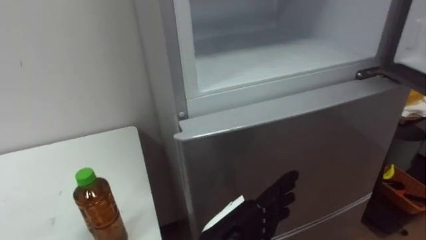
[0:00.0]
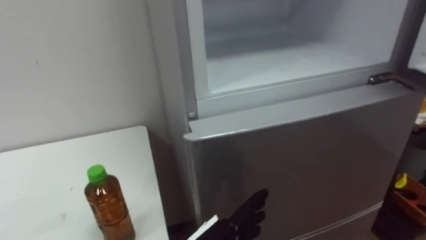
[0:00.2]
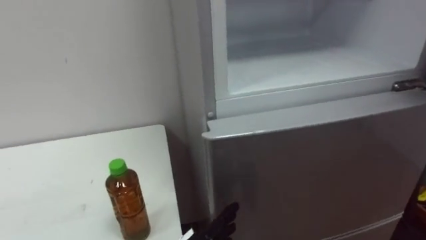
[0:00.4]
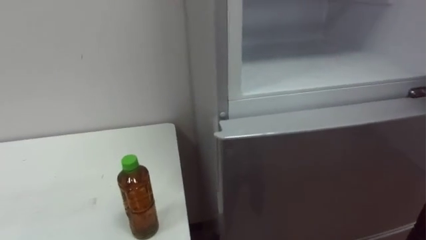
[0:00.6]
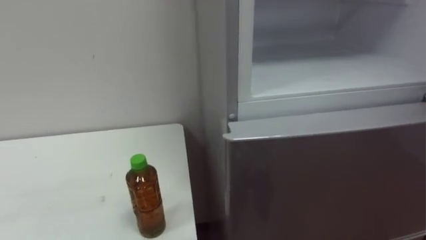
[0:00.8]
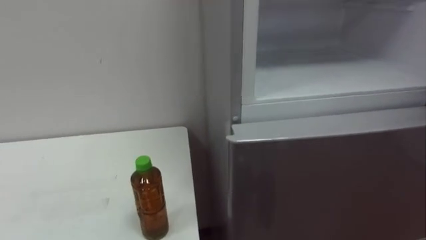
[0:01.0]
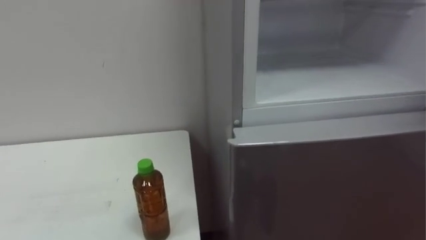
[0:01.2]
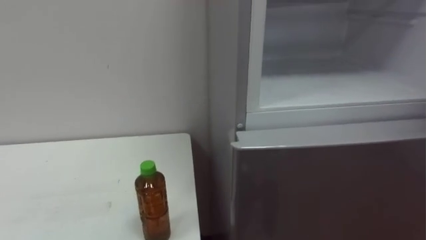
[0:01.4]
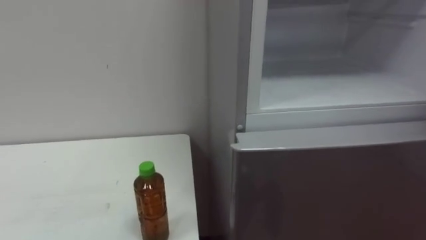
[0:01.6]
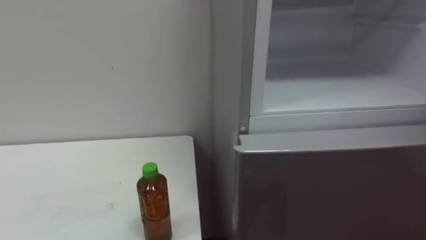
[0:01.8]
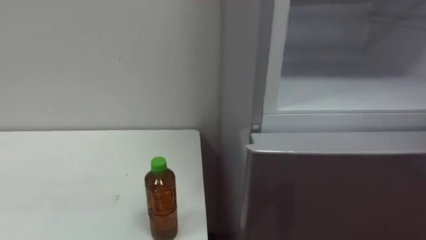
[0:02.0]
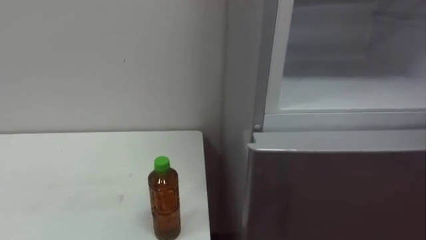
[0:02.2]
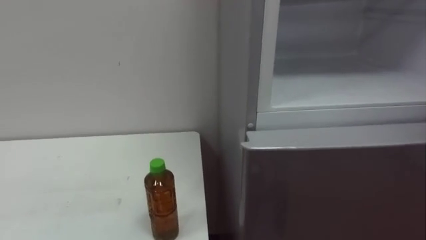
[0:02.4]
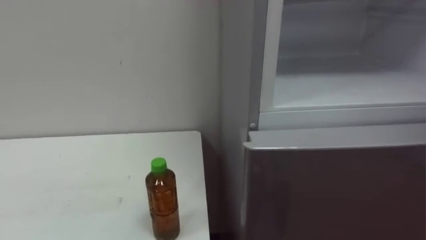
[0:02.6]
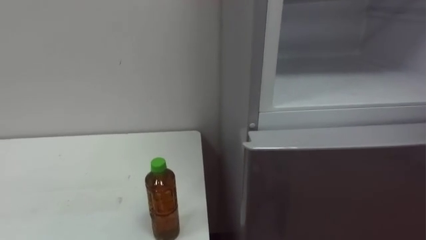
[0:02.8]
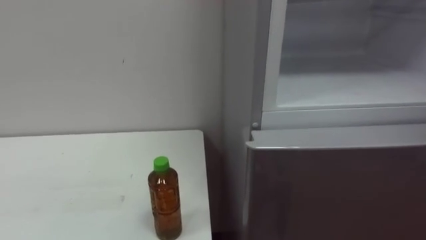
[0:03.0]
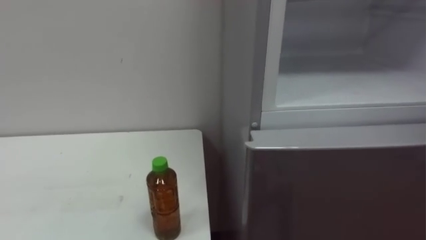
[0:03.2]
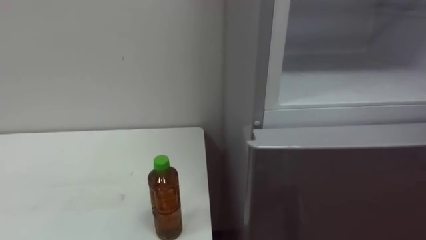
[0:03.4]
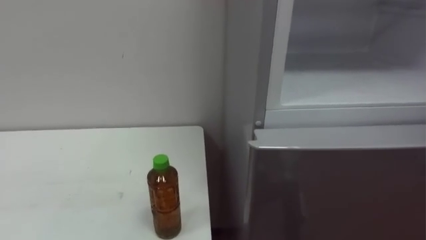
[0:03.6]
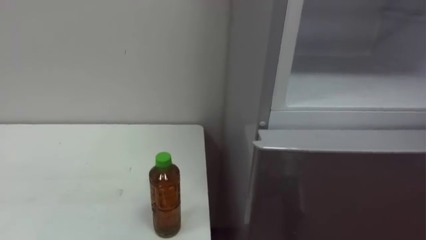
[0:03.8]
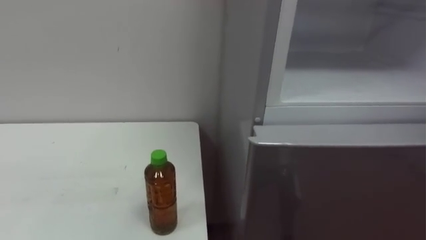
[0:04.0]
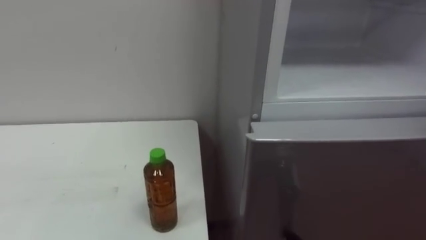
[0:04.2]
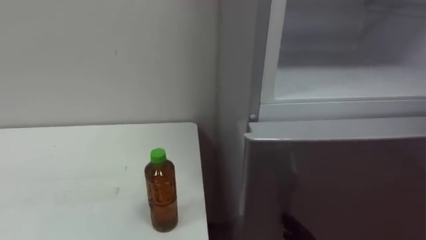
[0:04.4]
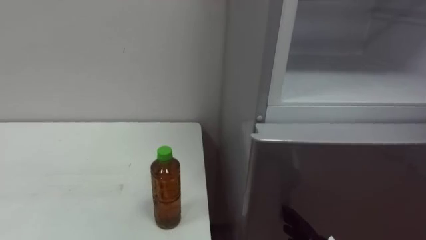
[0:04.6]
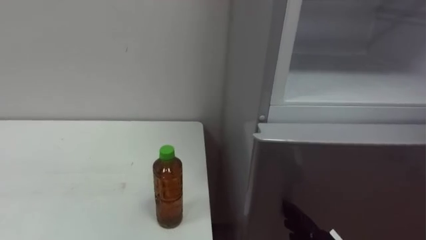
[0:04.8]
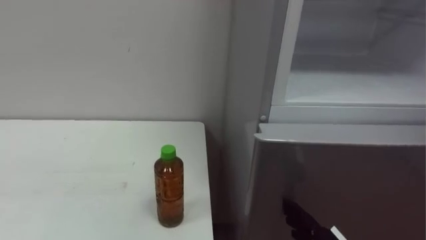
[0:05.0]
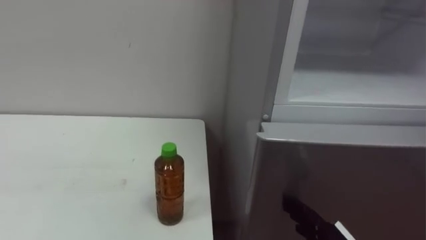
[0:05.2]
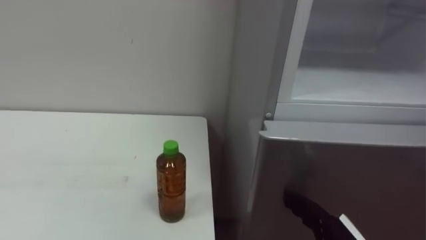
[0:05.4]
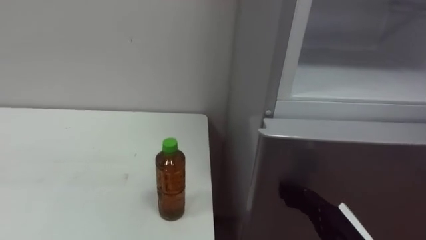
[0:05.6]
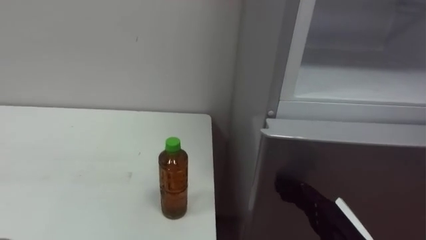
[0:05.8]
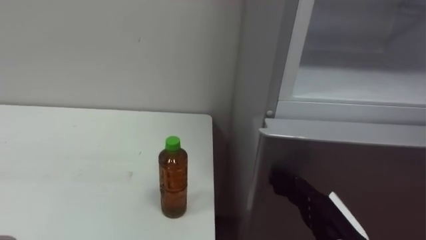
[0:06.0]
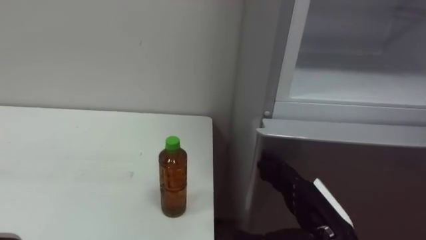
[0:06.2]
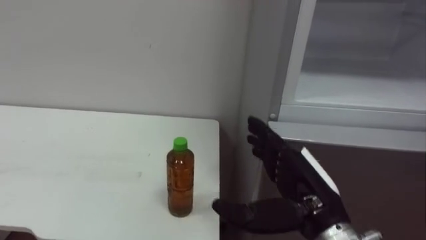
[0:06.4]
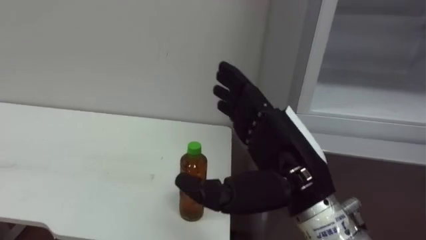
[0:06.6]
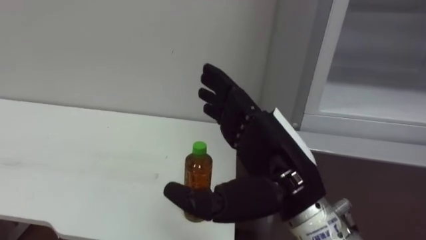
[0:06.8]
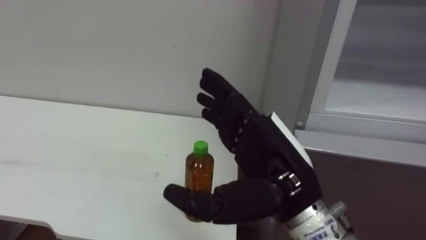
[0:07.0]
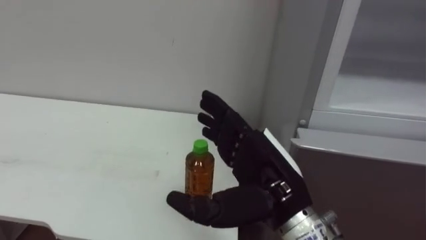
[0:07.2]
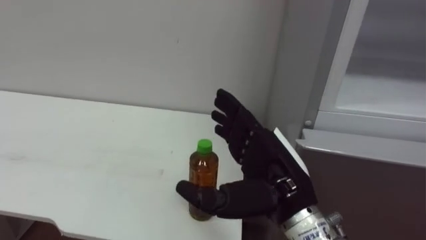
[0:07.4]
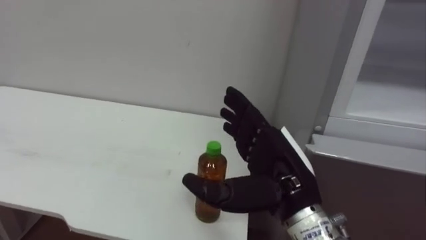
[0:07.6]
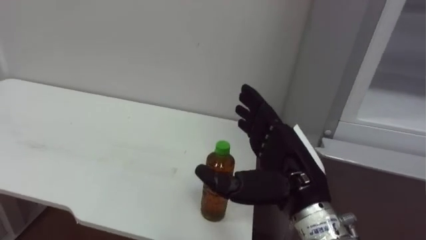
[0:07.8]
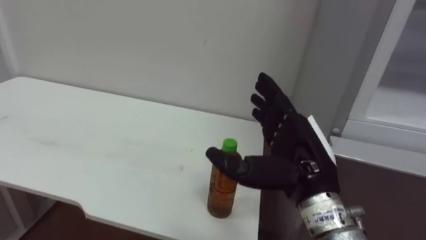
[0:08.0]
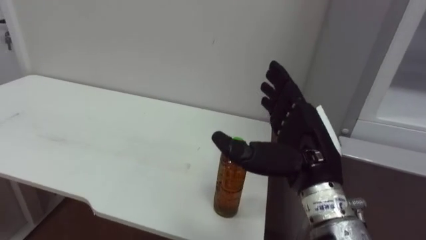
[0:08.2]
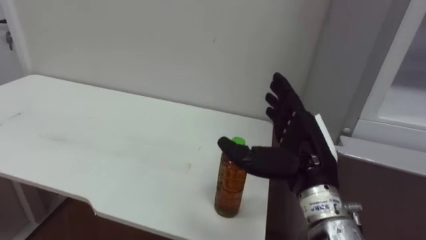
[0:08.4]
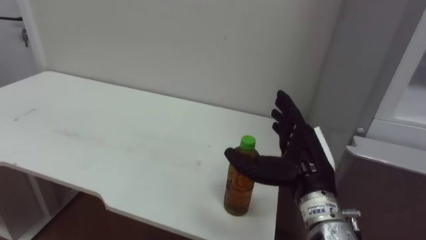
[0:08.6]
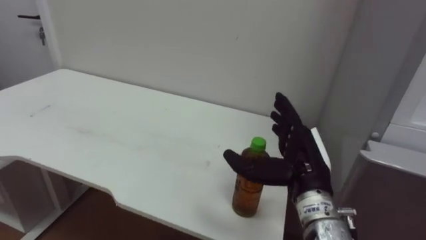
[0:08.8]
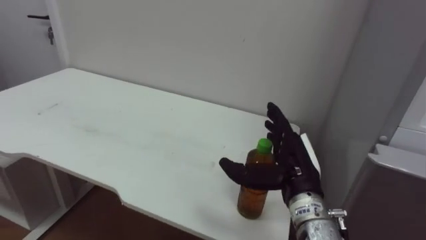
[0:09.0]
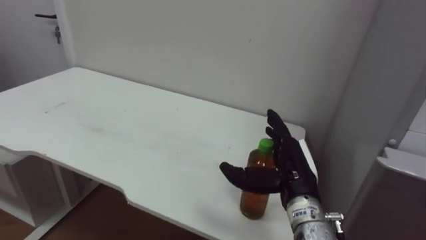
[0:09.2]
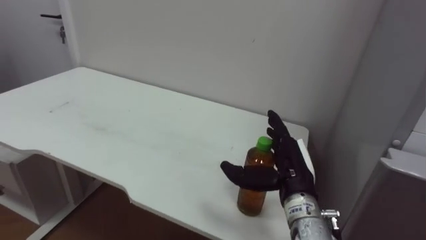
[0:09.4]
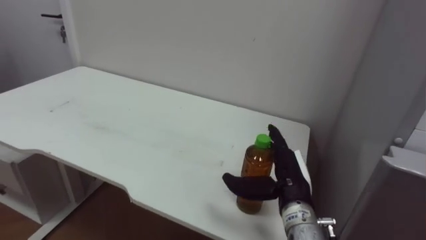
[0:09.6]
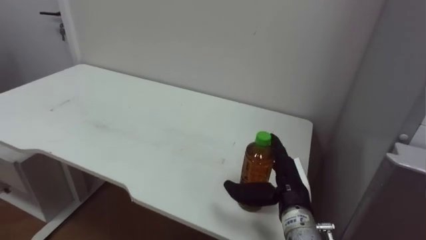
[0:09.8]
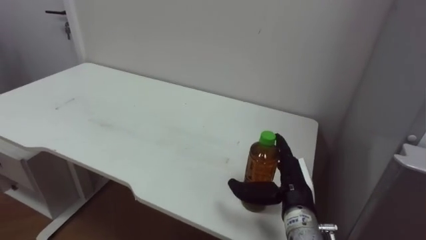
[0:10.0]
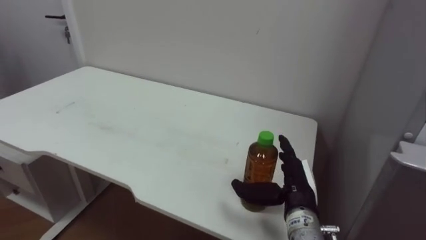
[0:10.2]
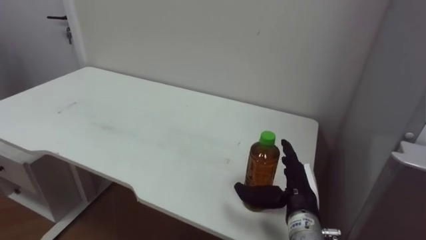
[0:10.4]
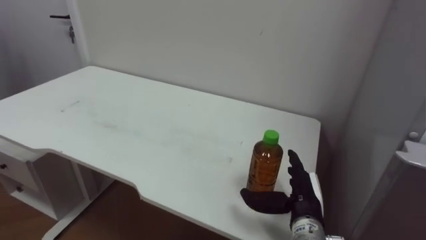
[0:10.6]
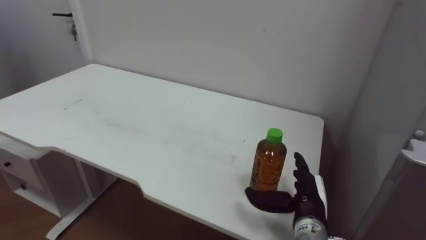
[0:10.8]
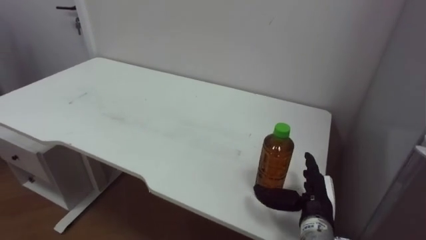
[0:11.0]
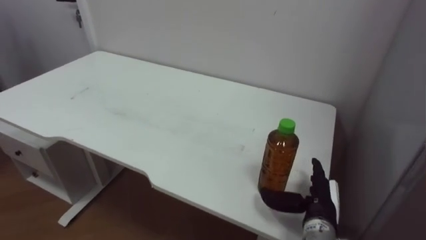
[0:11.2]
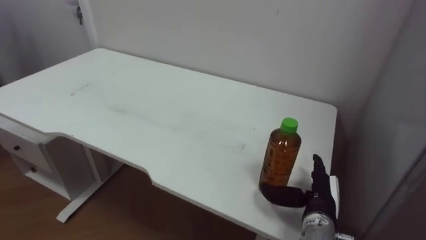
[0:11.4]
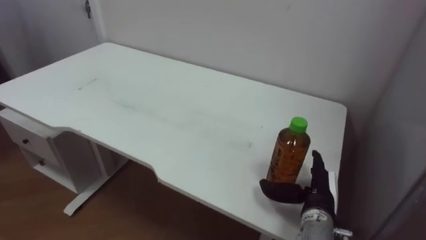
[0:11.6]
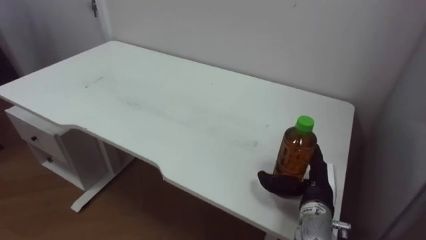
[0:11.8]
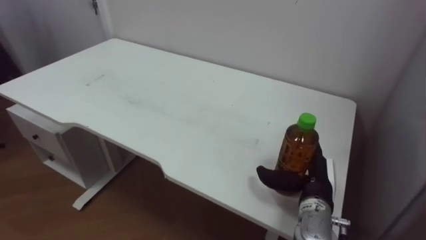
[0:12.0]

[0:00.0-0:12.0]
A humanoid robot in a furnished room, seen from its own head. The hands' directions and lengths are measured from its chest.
Task of the whole recording: Open the upper refrigerator door, put the drink from the table into the refrigerator, and then close the refrigerator door.
0:06.0 to 0:07.6: The right hand heads upward and to the left, covering approximately 15 cm.
0:07.6 to 0:09.0: The right hand shifts about 5 cm forward.
0:09.0 to 0:10.4: The right hand goes about 5 cm downward.

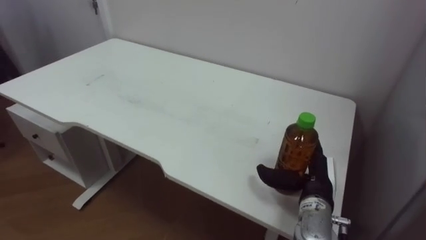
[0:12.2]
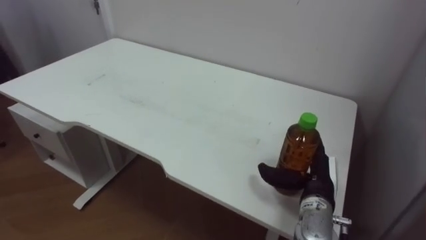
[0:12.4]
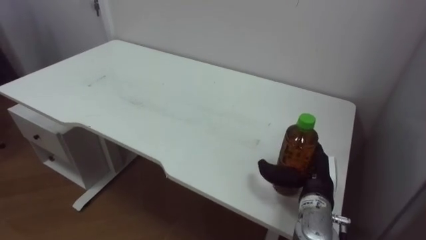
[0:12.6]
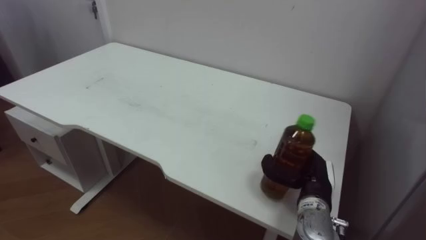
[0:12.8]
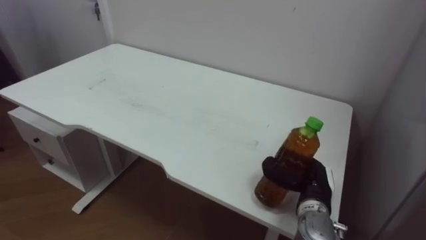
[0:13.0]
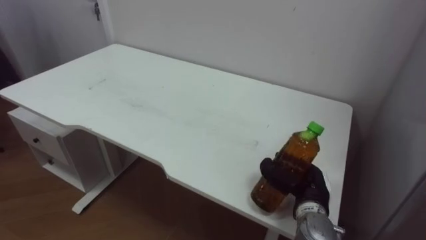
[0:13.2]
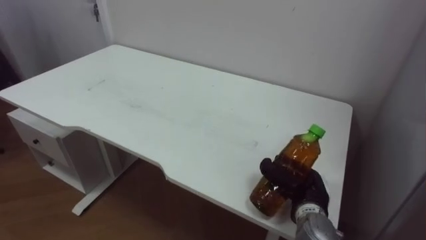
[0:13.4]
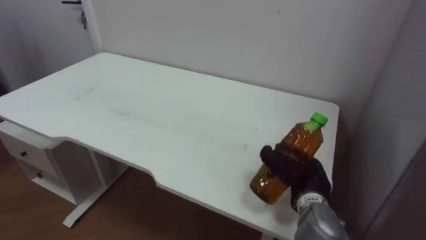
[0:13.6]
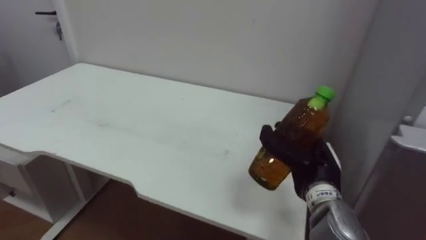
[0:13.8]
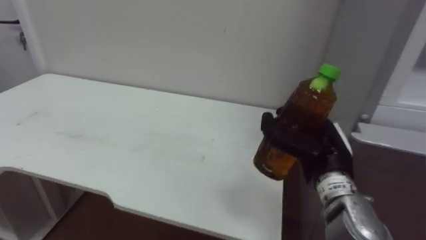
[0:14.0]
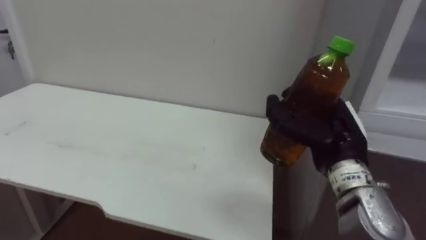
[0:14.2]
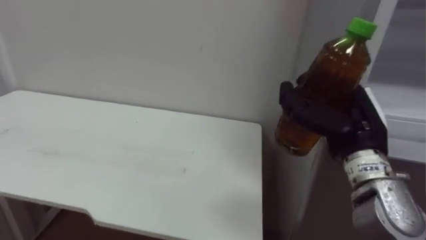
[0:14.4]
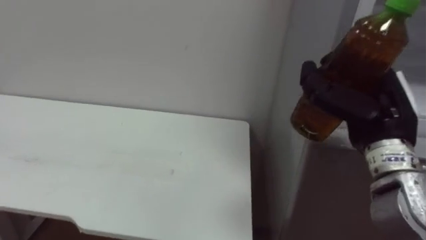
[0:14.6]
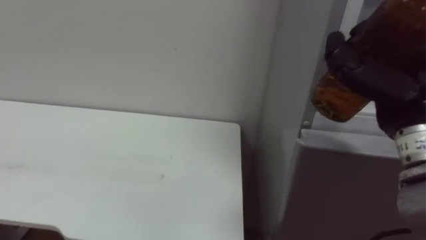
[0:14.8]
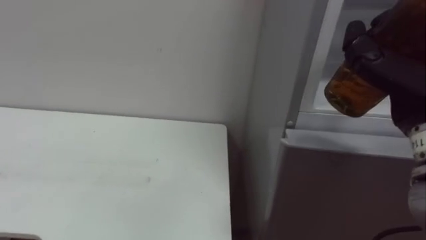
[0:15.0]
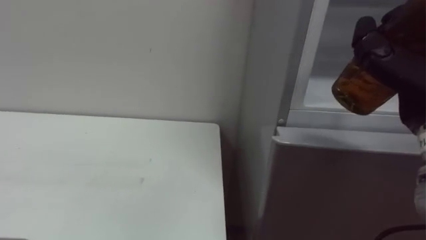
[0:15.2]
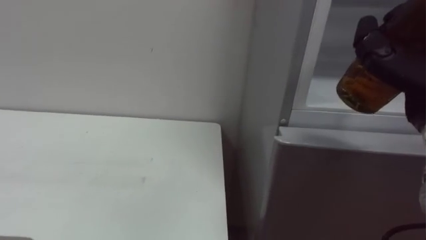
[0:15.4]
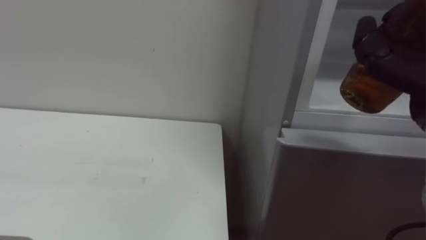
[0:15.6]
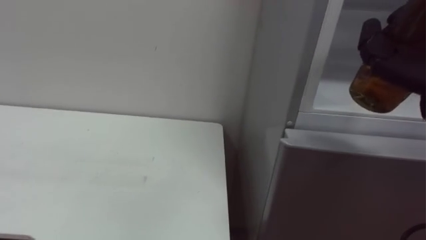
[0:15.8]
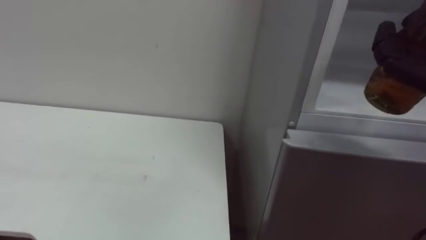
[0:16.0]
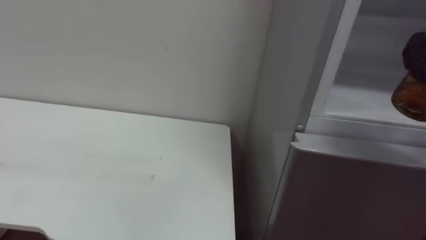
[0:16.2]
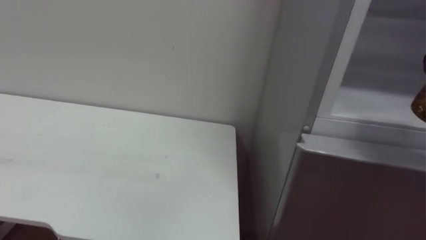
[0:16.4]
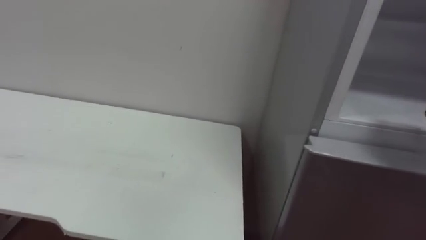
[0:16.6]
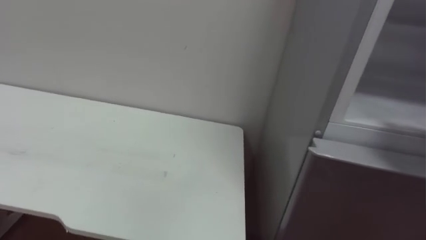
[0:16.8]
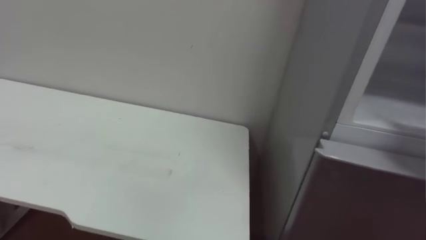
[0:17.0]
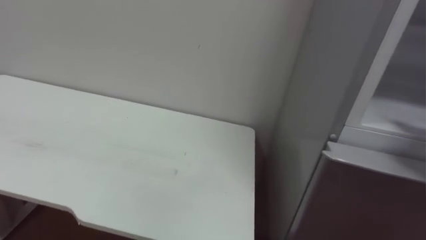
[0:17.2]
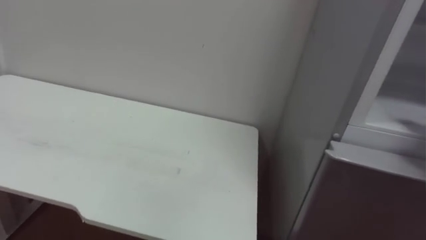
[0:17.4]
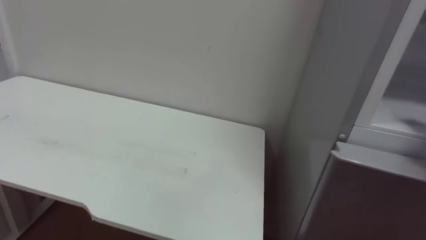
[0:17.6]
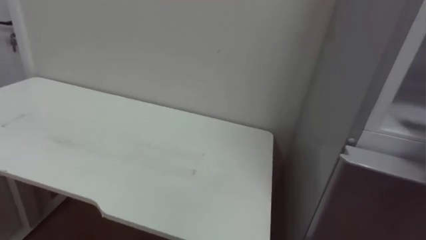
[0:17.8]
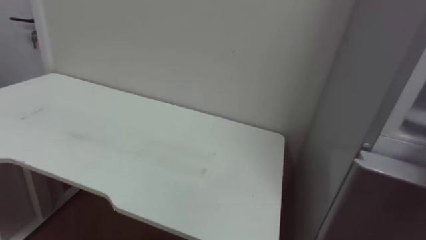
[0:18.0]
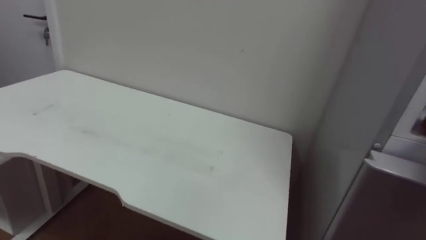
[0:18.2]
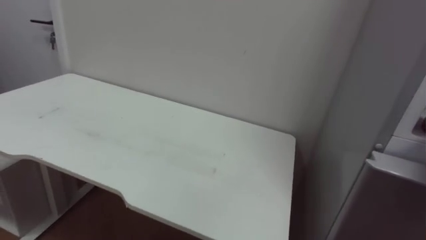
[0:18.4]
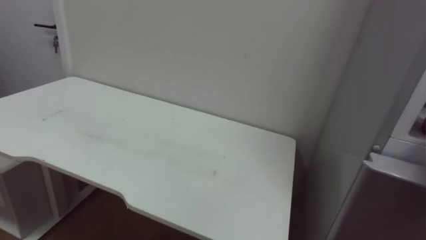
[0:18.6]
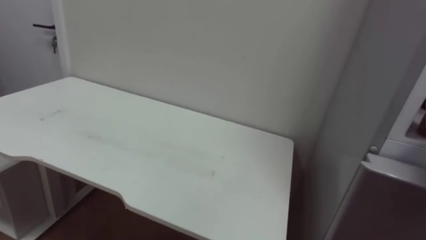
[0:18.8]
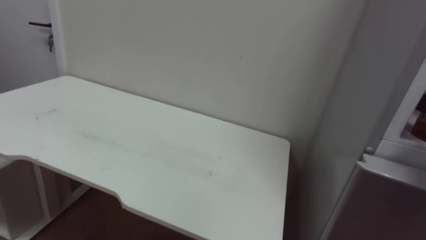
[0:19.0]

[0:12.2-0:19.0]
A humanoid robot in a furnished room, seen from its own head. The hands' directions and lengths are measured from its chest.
Task of the whole recording: Open the upper refrigerator door, put the drink from the table into the refrigerator, and then close the refrigerator door.
0:12.2 to 0:13.6: The right hand closes.
0:13.6 to 0:15.0: The right hand moves upward, roughly 25 cm.
